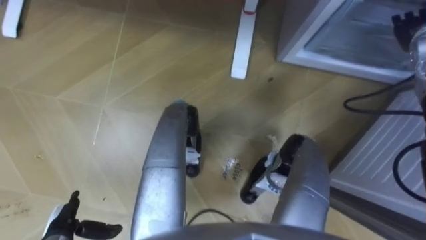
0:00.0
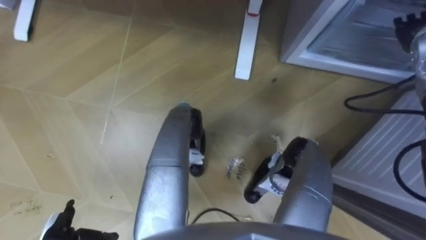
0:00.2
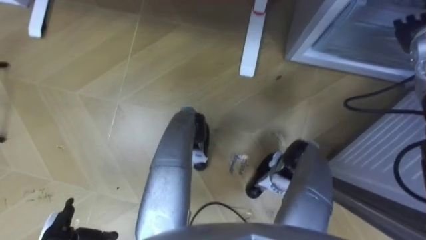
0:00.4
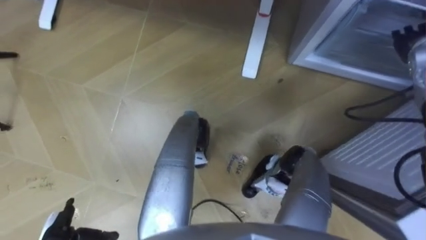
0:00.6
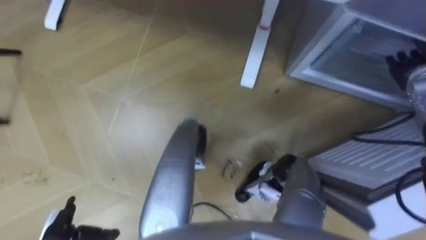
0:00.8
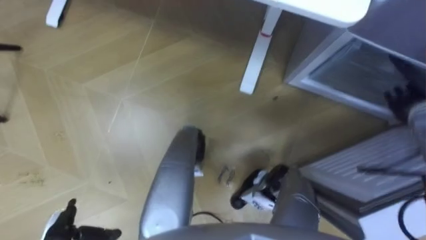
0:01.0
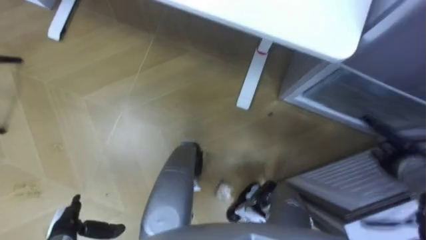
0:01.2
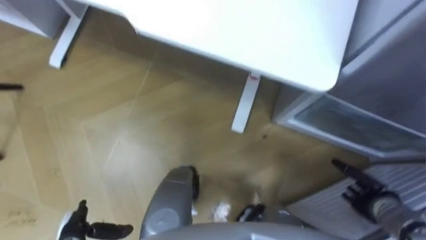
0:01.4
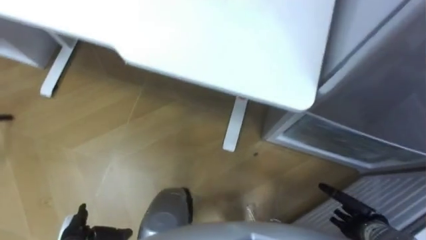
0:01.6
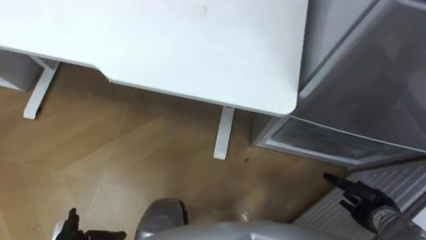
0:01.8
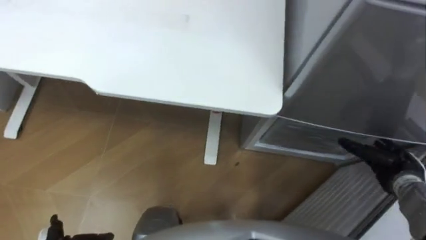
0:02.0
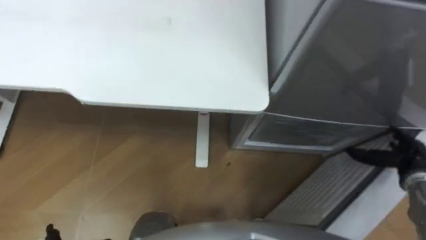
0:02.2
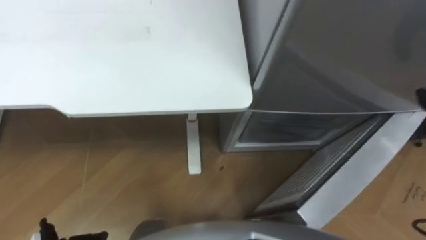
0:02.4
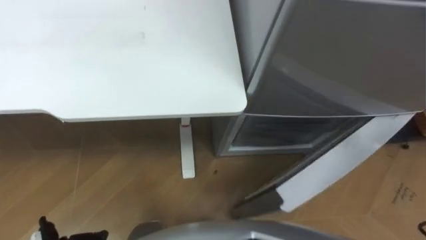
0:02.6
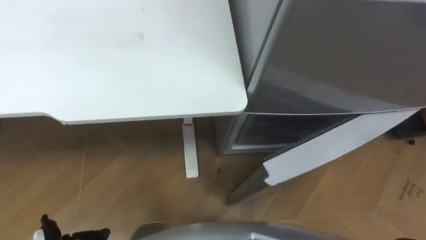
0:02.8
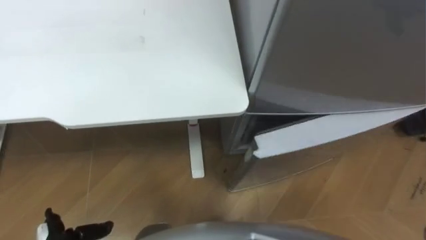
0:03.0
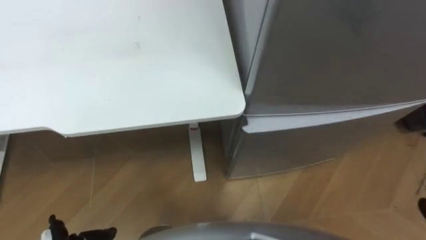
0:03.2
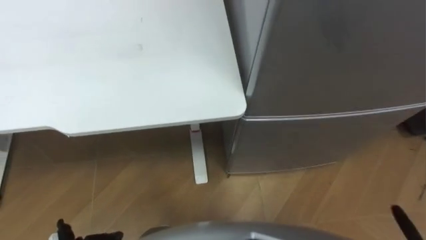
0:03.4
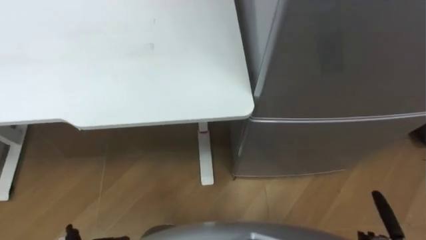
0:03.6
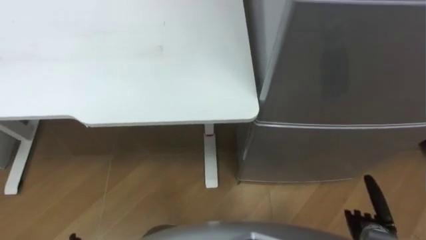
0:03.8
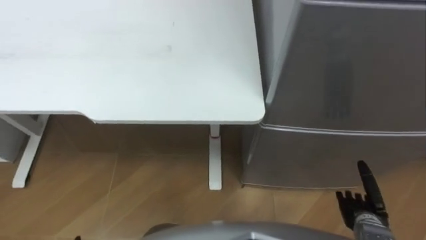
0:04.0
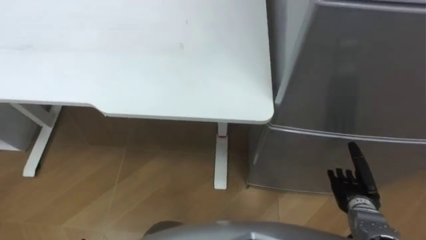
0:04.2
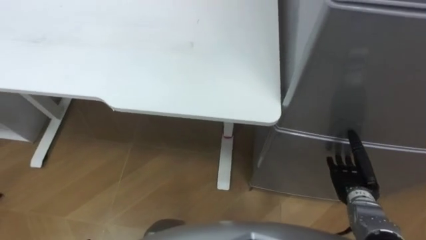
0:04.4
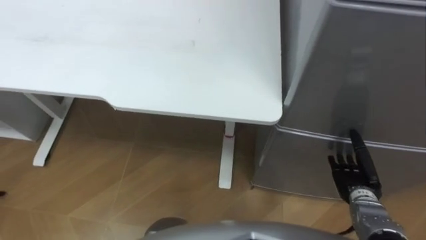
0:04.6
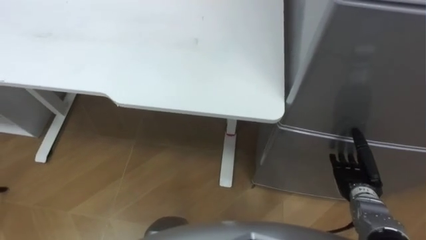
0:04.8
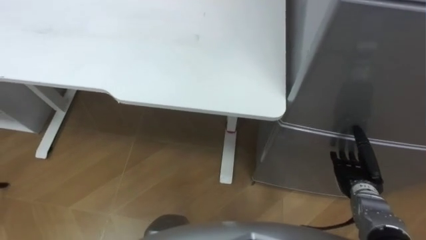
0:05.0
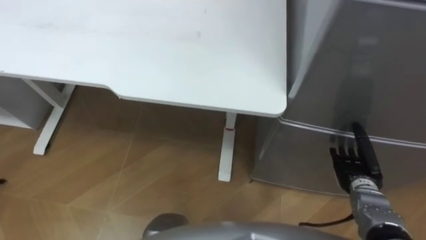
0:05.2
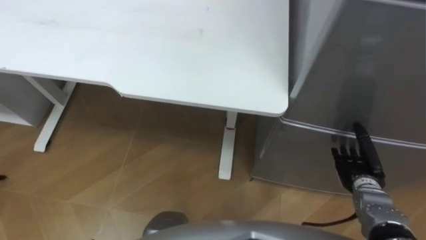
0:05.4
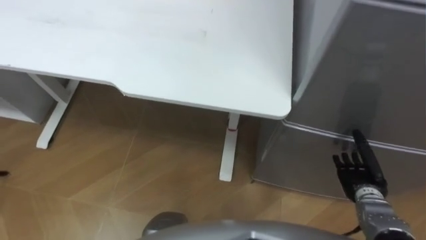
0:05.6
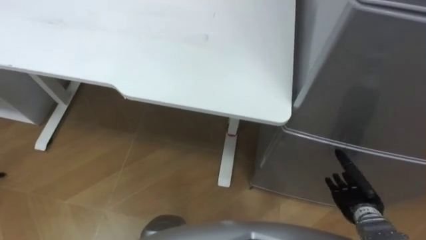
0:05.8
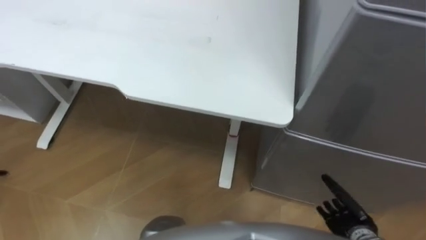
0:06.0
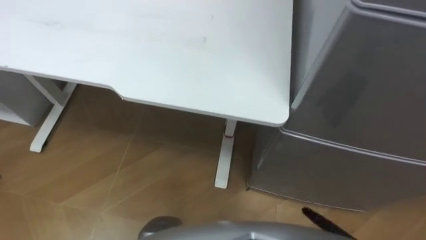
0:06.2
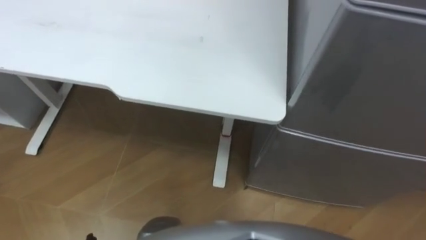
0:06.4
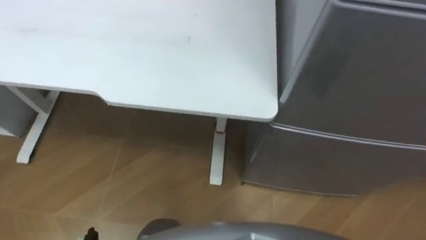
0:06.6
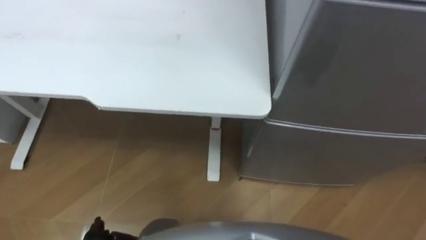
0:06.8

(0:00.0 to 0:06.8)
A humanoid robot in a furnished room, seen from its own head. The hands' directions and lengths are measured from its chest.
Task of the whole recording: Place the drink on the table on the bottom shelf of the refrigerator, then close the drawer and the refrigerator door.
0:00.0 - 0:01.4: The right hand heads backward and downward, covering about 35 cm.
0:04.0 - 0:05.4: The right hand is displaced forward by some 10 cm.

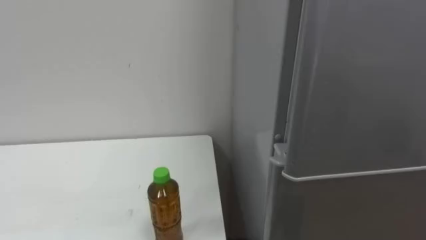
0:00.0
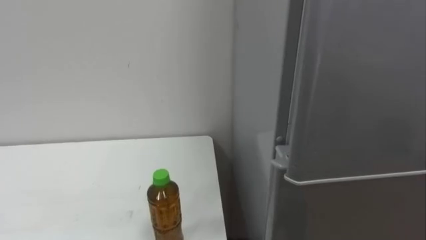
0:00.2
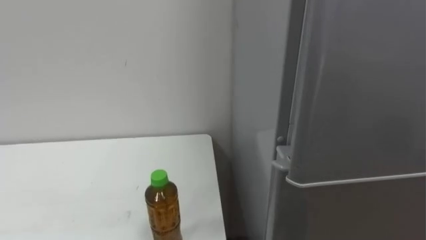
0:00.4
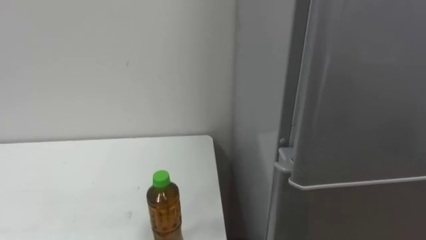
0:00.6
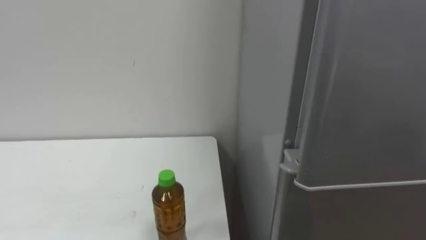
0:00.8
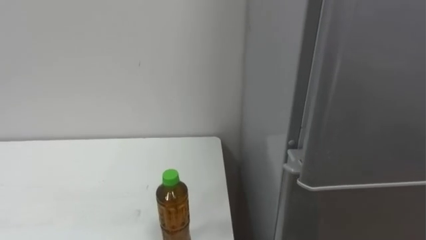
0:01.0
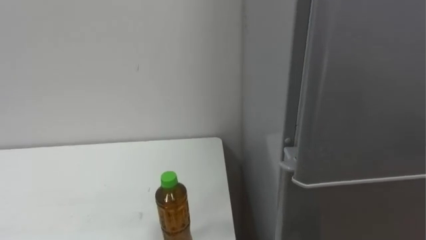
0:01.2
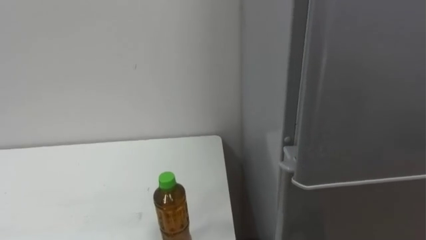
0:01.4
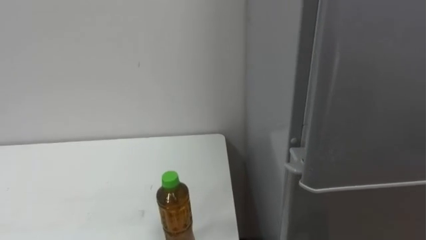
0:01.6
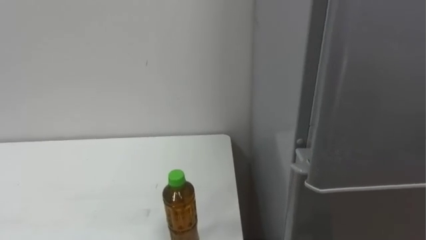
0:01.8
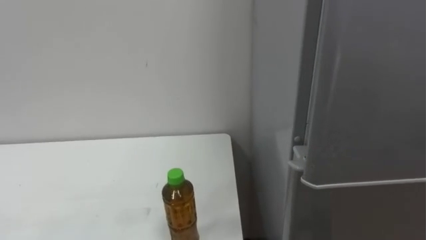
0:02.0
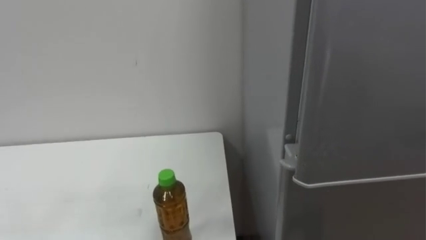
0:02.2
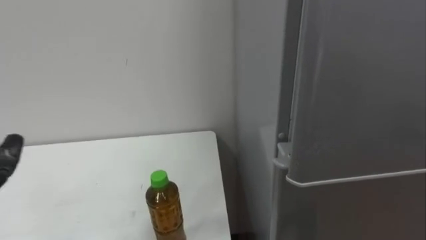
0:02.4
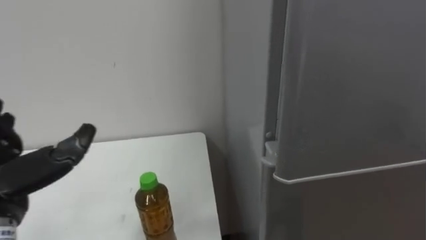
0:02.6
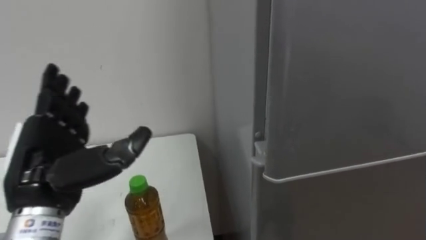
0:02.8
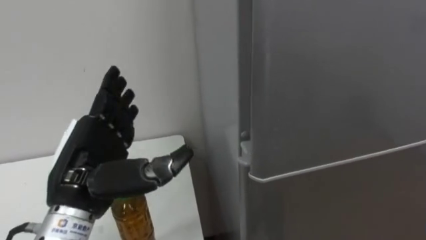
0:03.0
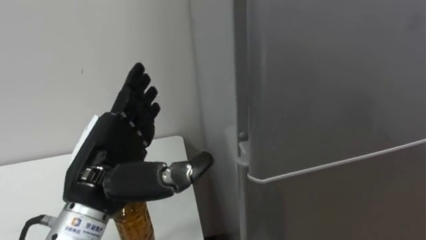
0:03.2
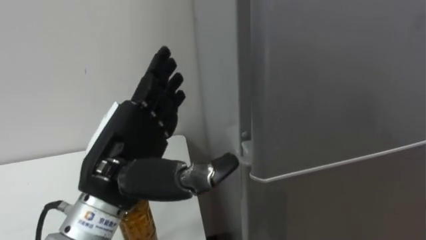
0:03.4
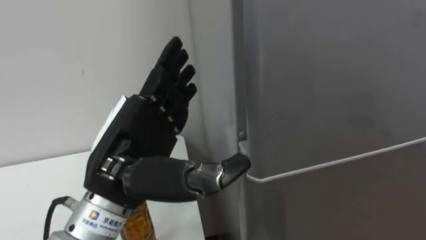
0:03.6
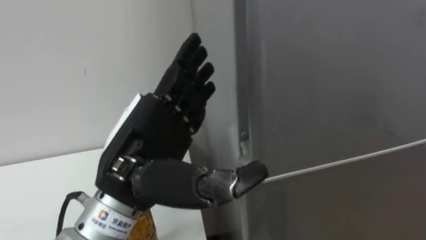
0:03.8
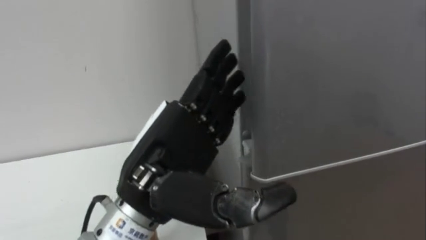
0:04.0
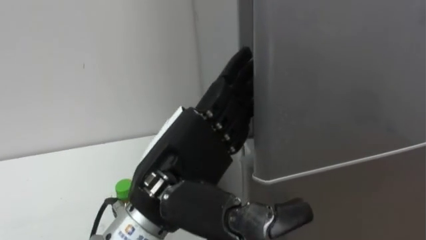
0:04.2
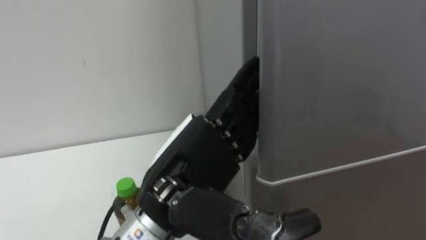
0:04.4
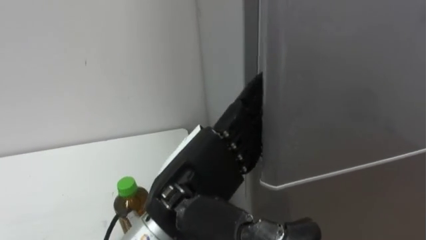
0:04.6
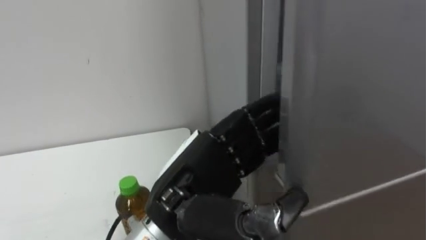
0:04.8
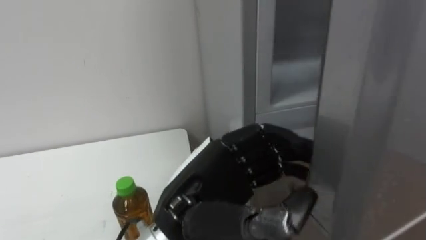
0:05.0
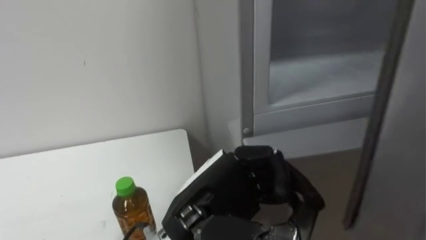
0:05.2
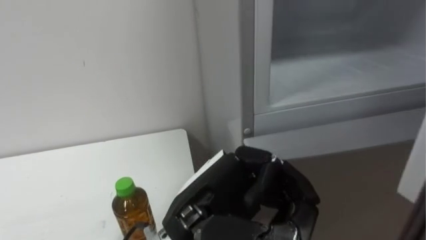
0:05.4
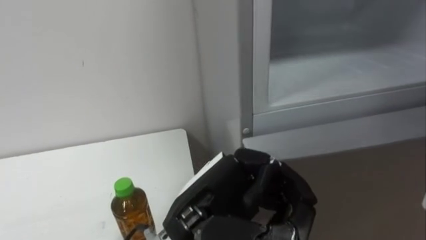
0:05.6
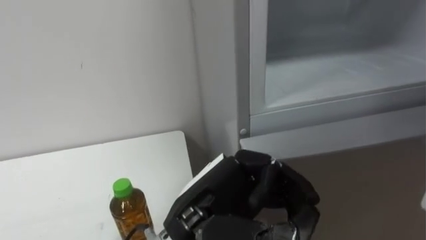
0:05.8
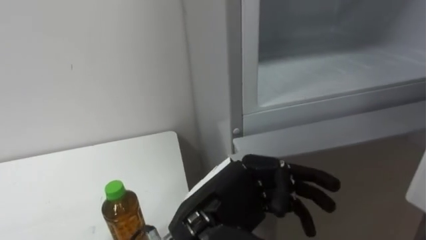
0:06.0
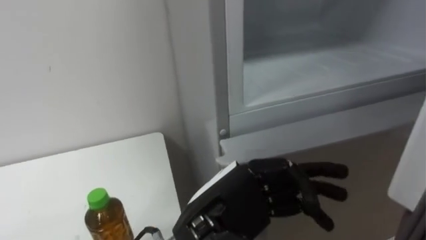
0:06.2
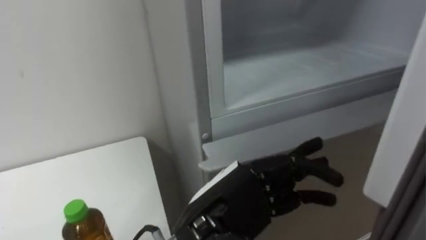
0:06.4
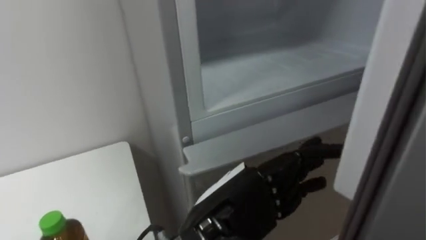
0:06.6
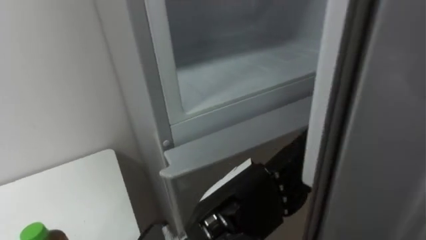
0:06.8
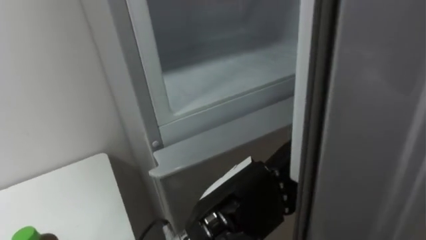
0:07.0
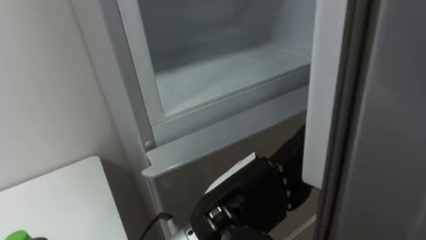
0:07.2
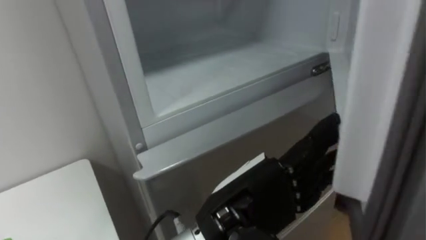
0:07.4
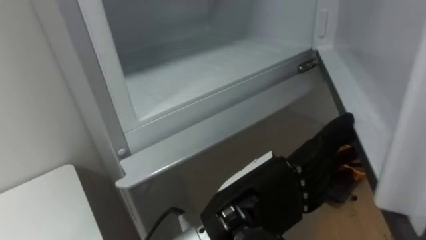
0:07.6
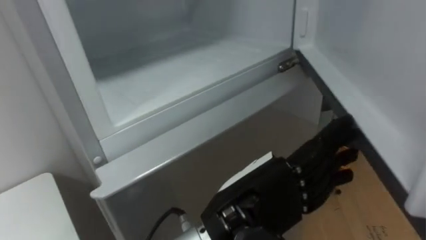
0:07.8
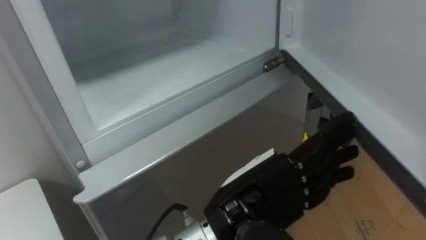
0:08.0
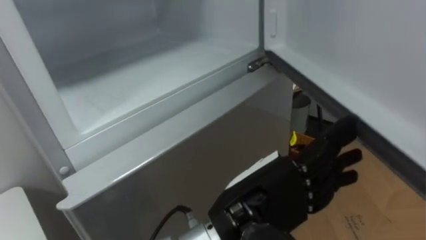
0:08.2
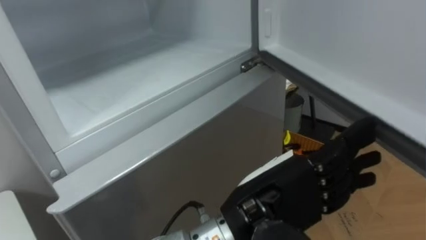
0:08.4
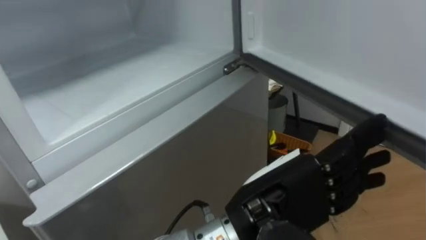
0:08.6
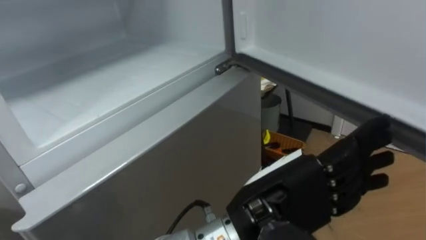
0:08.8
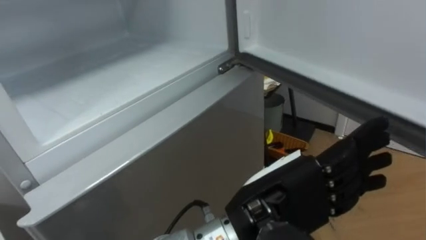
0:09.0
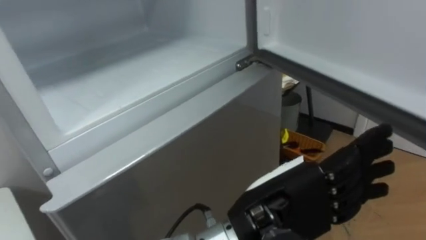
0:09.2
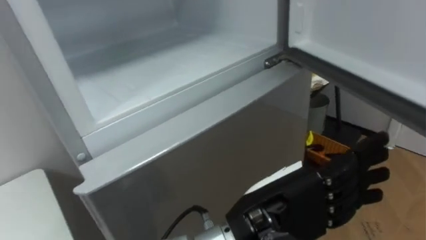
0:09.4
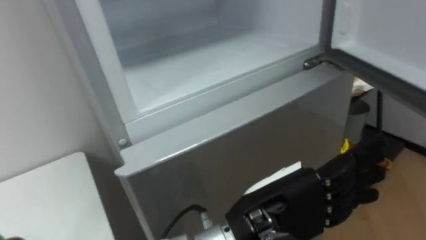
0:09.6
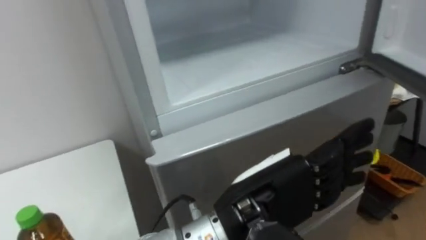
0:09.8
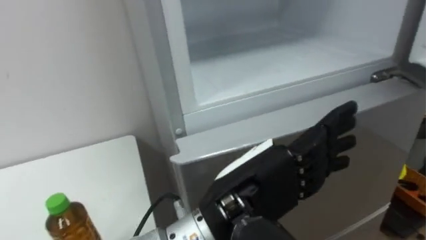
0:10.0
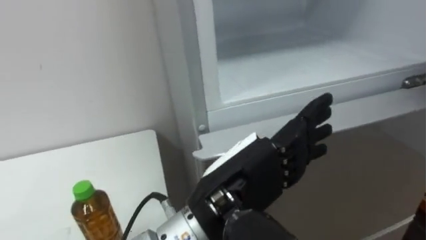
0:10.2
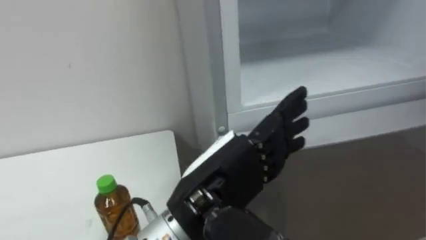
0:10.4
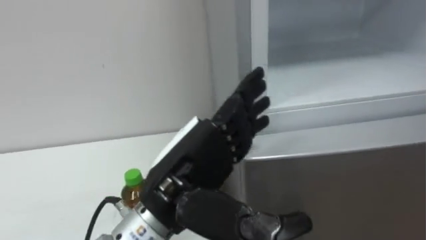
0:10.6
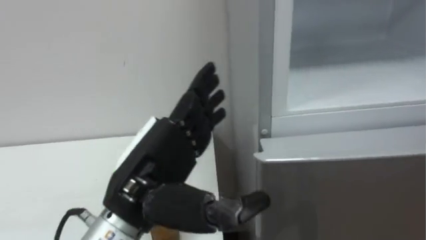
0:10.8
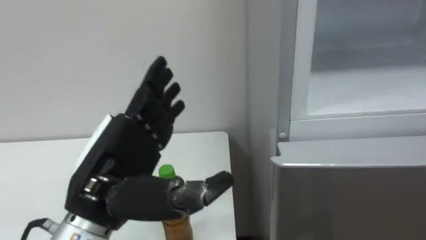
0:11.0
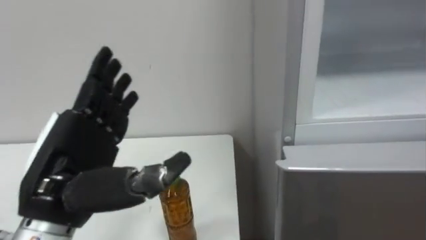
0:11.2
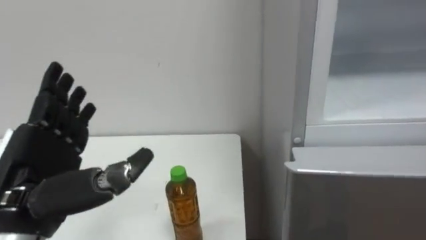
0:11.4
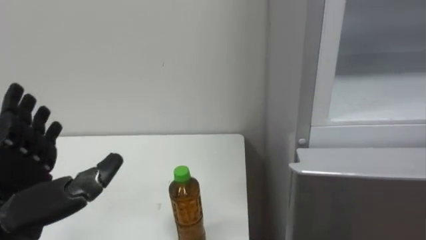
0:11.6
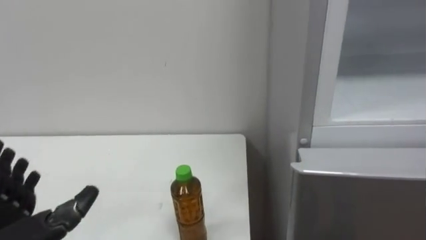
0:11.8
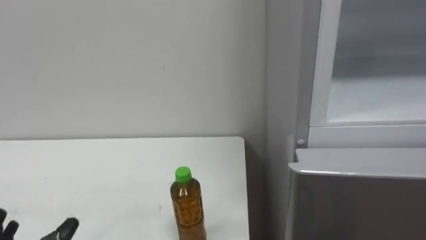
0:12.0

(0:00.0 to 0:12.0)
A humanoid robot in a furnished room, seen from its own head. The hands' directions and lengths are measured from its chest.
Task of the whole recording: Open the upper refrigerator door, put the drink from the table into the refrigerator, and then close the refrigerator door.
0:03.0 - 0:04.4: The left hand moves to the right, roughly 15 cm.
0:04.4 - 0:06.0: The left hand changes place by about 5 cm, and closes.
0:06.0 - 0:07.6: The robot turns to its right by roughly 15 degrees. The left hand opens.
0:09.0 - 0:10.4: The left hand shifts roughly 5 cm to the left.
